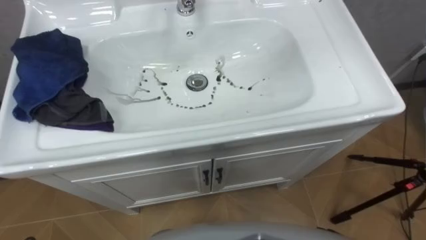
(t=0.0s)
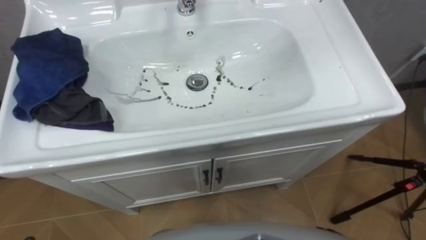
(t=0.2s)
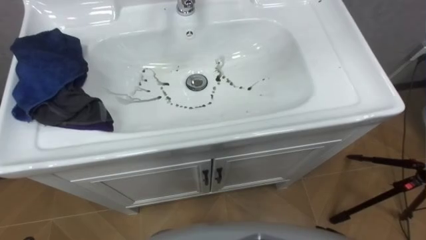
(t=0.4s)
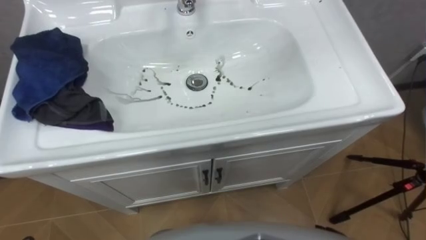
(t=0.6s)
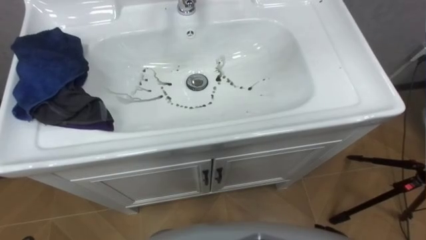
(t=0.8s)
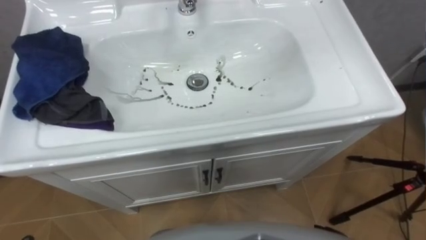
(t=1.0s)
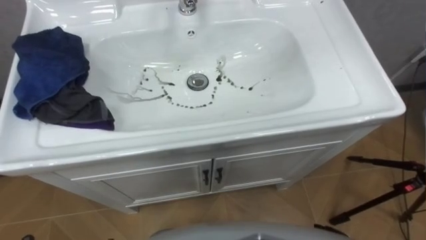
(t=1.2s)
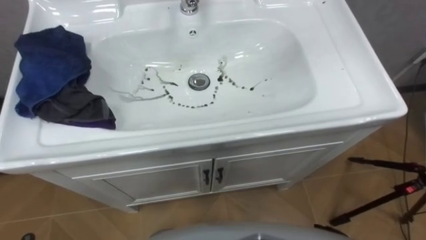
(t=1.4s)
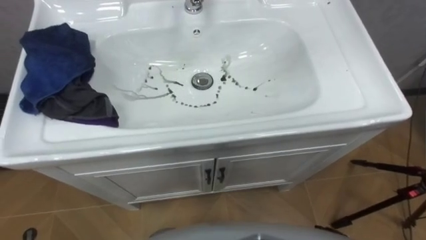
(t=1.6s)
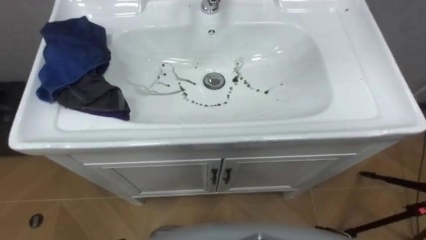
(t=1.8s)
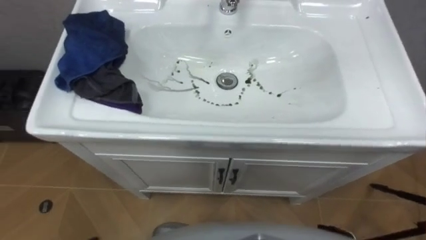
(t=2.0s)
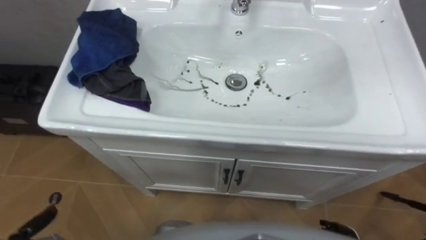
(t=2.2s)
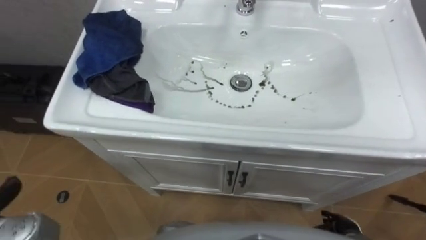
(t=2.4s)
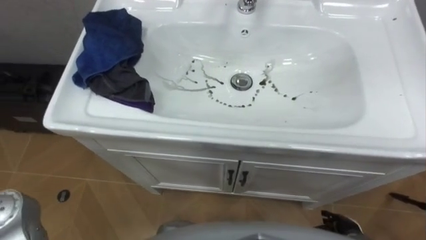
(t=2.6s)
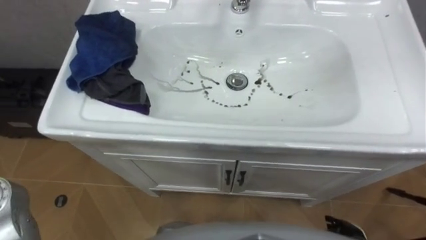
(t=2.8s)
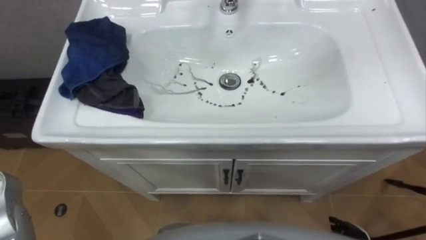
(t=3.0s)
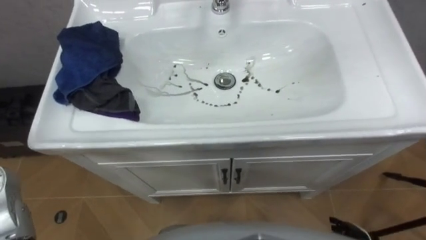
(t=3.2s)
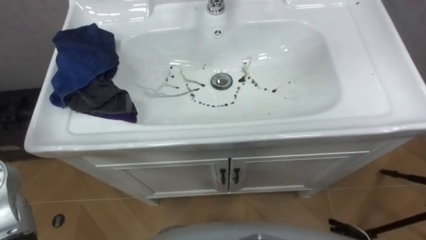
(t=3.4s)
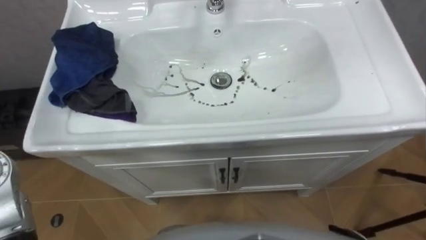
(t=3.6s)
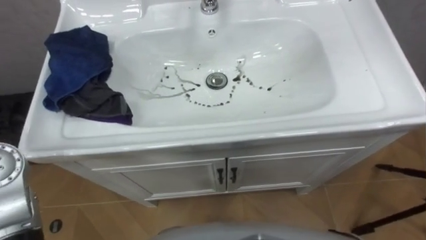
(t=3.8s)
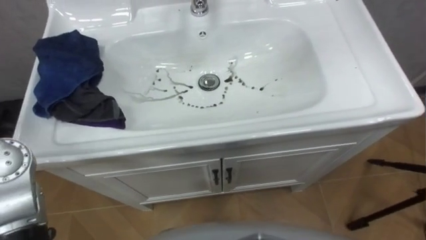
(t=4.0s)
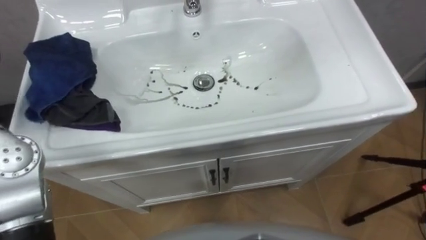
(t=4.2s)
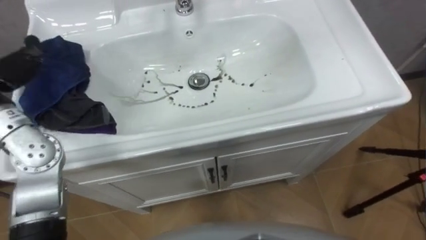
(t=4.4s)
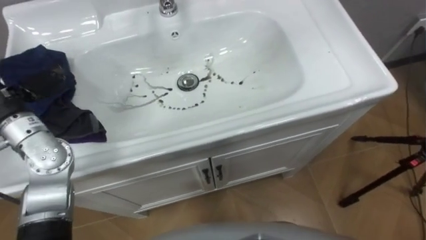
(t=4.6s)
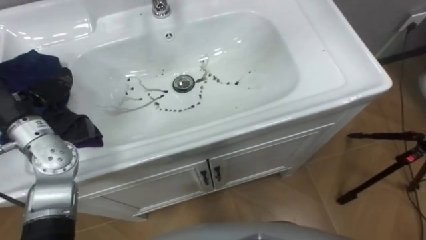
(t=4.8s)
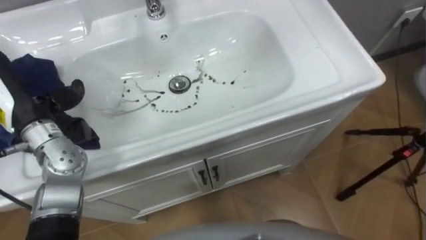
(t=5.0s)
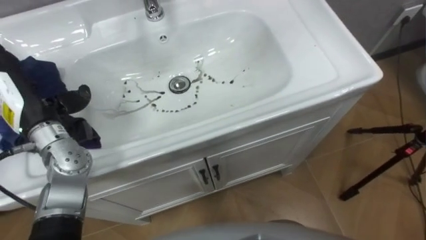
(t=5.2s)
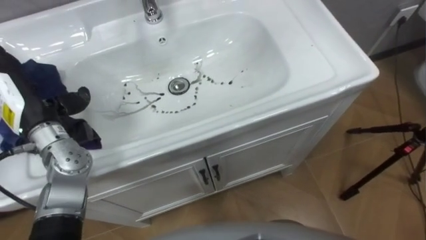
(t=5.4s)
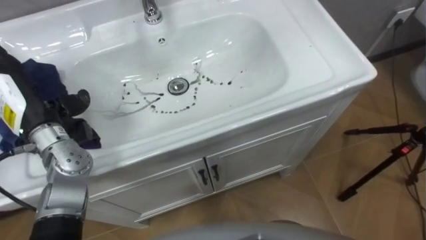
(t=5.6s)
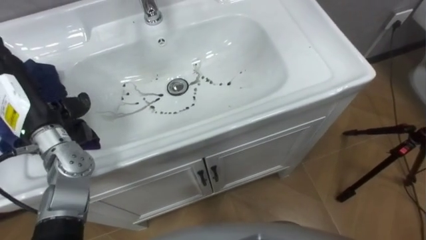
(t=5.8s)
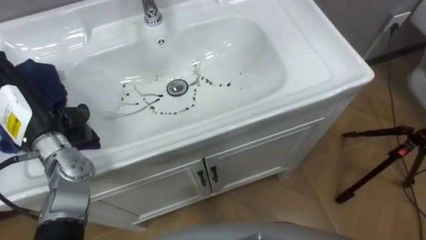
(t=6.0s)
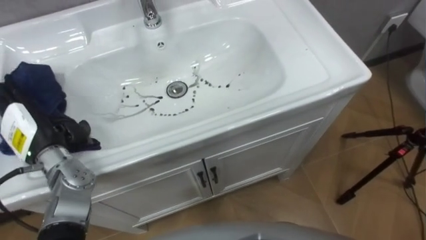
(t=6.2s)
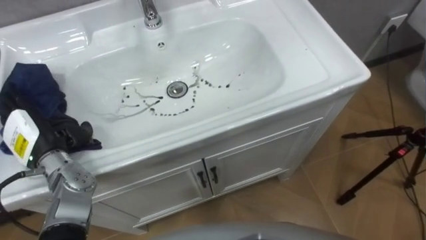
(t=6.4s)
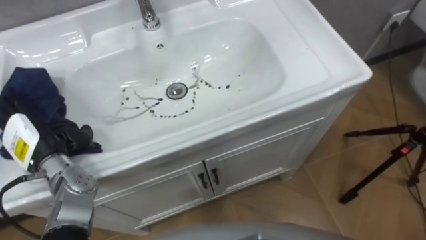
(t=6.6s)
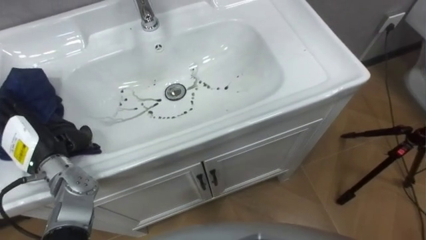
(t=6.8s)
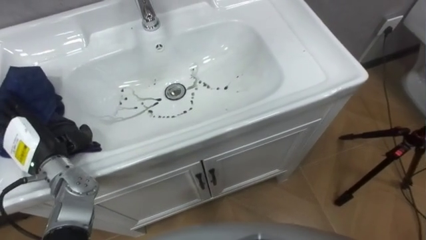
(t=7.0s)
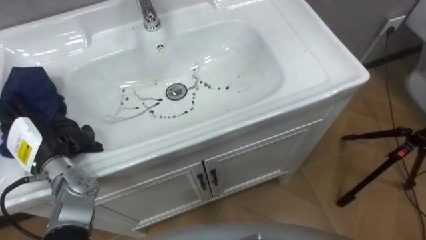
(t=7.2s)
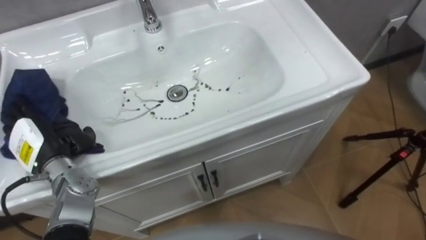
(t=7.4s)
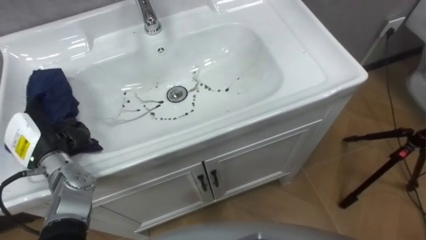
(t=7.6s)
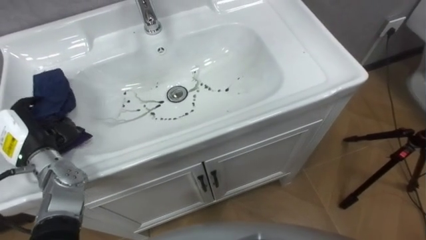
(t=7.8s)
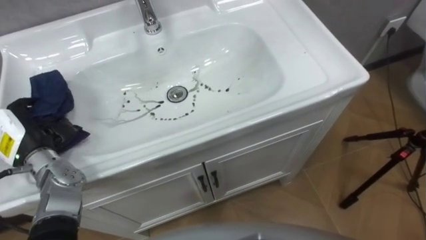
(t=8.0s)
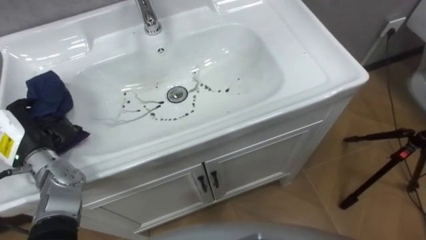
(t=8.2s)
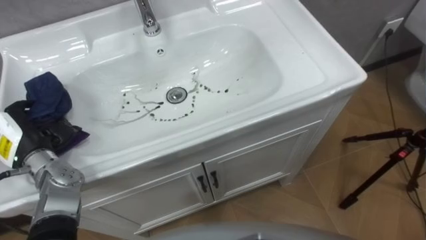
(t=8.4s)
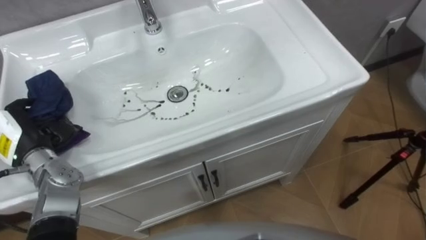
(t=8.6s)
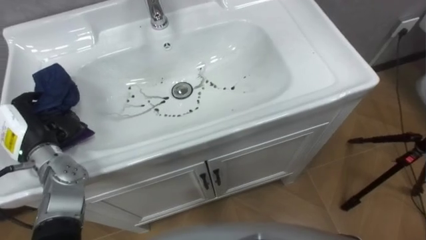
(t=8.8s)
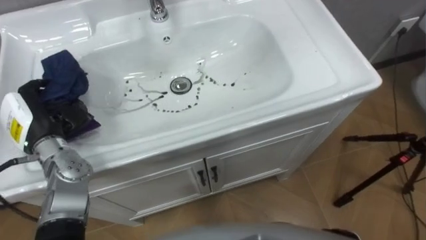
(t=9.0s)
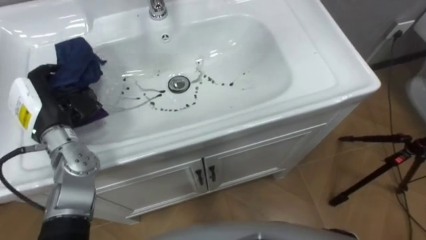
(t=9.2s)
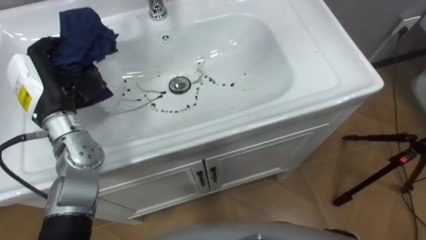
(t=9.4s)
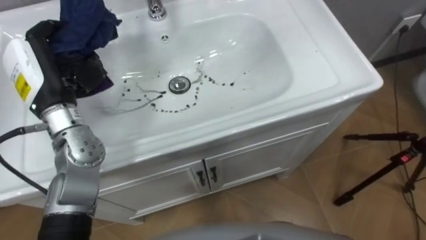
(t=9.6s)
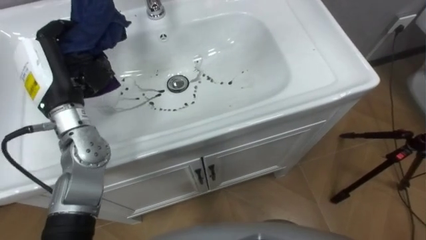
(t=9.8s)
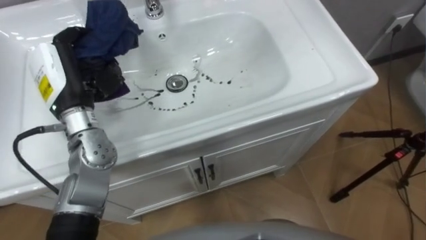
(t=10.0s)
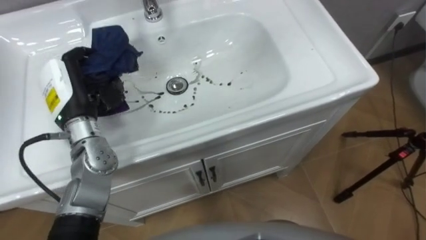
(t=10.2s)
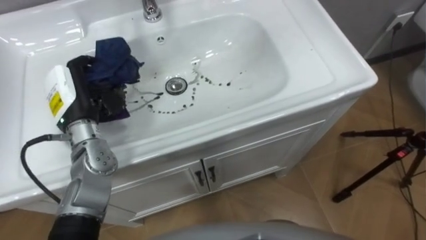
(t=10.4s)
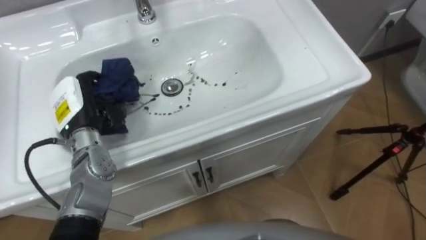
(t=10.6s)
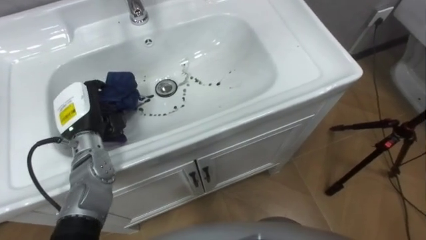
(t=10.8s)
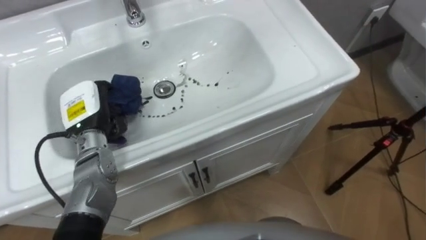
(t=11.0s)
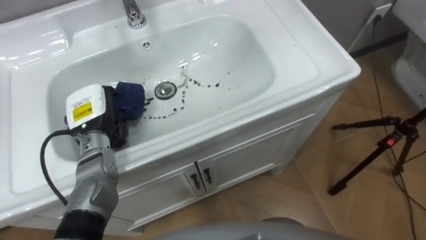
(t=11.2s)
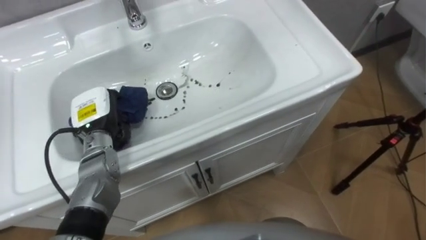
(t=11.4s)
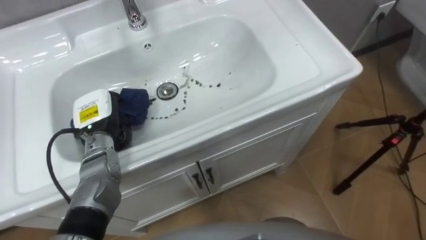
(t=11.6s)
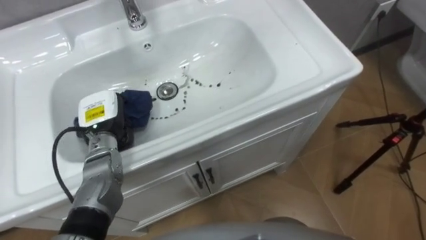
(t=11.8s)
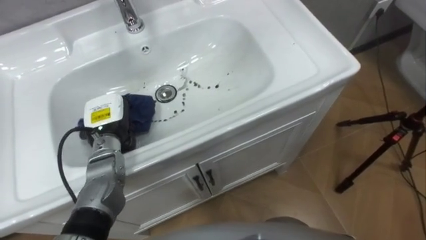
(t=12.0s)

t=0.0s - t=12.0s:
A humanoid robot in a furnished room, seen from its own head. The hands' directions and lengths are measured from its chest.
Task of the whole recording: Use the cloth on the right to wipe away the black stain in the sink.
t=6.0s - t=7.6s: The left hand is displaced downward by some 5 cm.
t=7.6s - t=9.0s: The left hand changes place by some 5 cm, and closes up.
t=9.0s - t=10.4s: The left hand heads to the right, covering approximately 5 cm, and goes upward and returns, approximately 10 cm each way.
t=10.4s - t=12.0s: The left hand is displaced downward by roughly 10 cm.

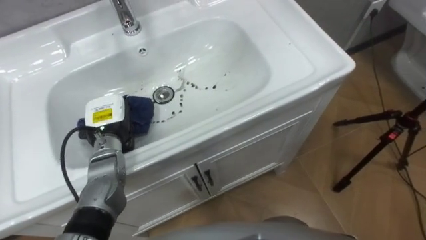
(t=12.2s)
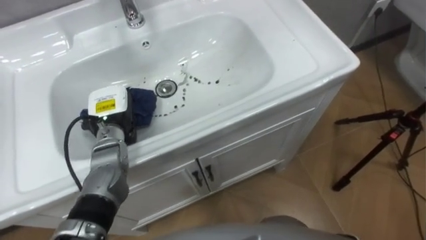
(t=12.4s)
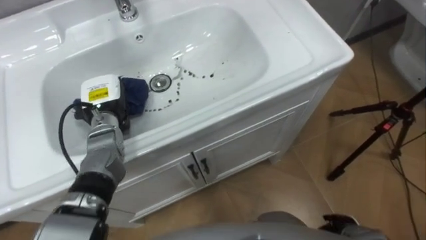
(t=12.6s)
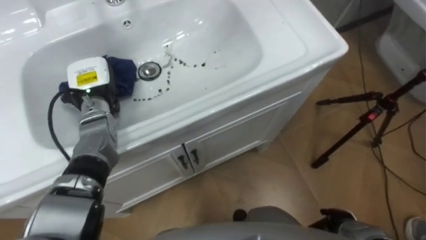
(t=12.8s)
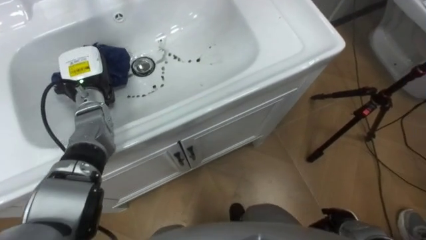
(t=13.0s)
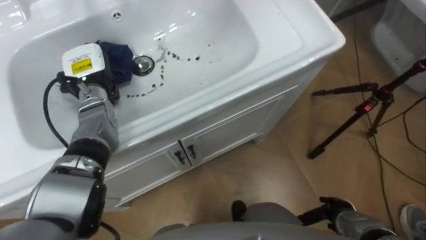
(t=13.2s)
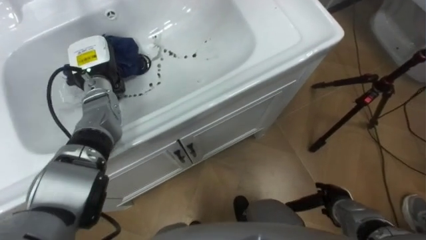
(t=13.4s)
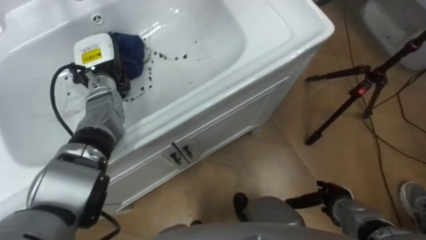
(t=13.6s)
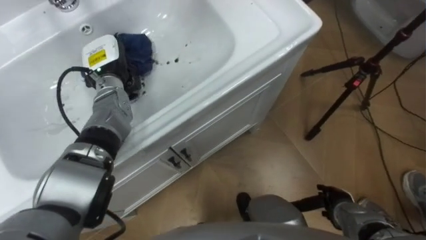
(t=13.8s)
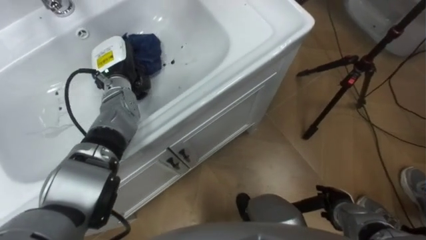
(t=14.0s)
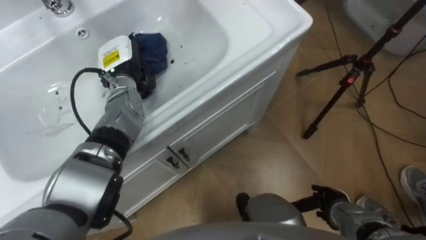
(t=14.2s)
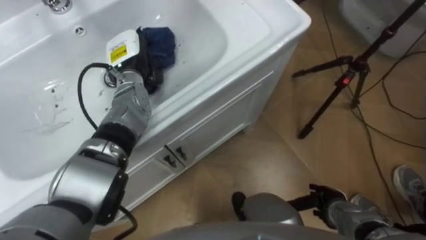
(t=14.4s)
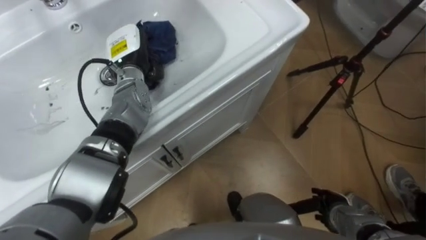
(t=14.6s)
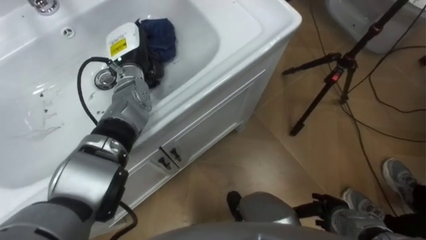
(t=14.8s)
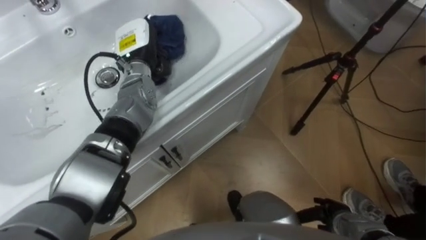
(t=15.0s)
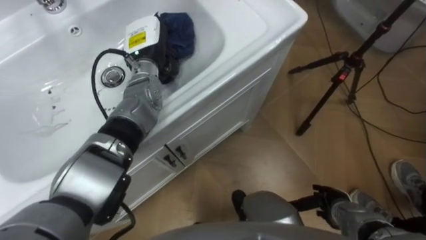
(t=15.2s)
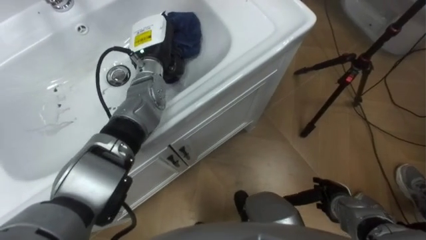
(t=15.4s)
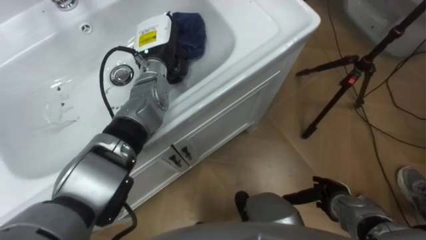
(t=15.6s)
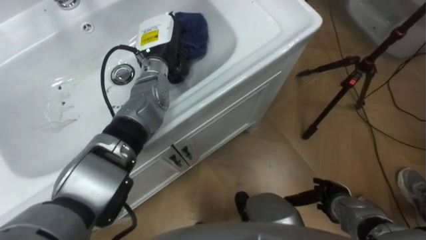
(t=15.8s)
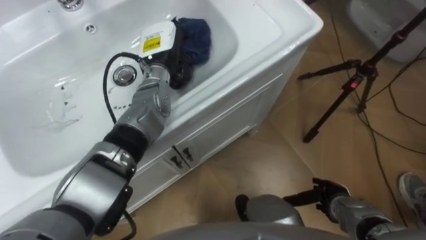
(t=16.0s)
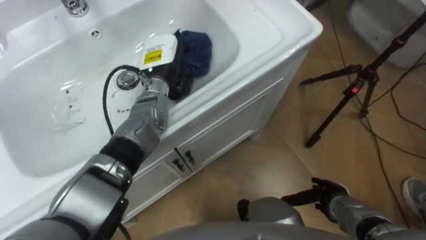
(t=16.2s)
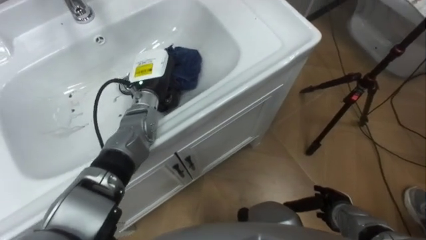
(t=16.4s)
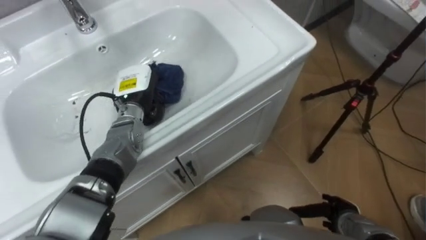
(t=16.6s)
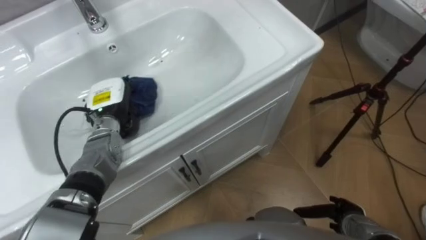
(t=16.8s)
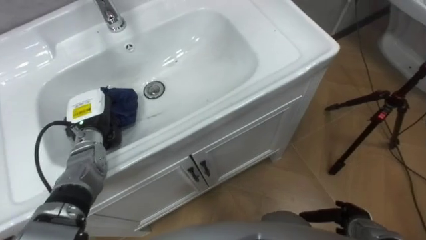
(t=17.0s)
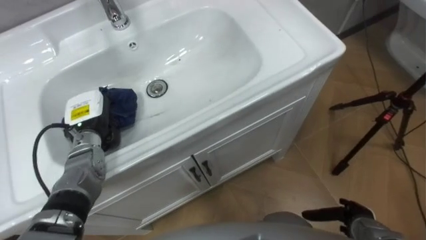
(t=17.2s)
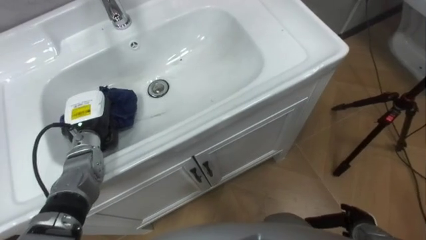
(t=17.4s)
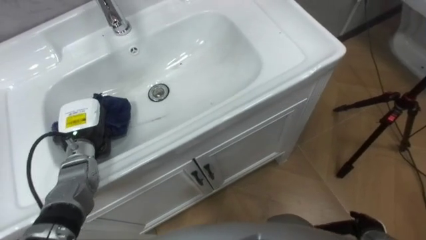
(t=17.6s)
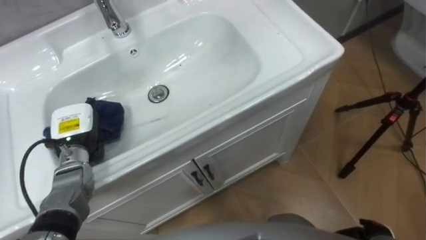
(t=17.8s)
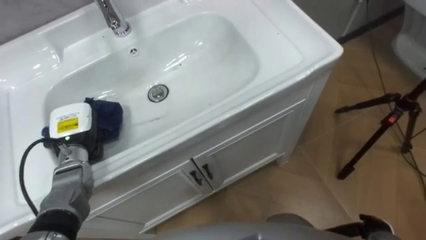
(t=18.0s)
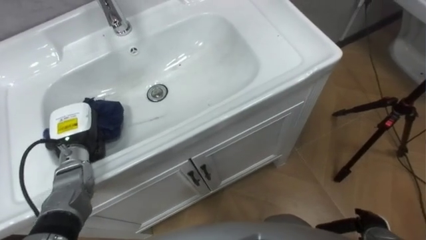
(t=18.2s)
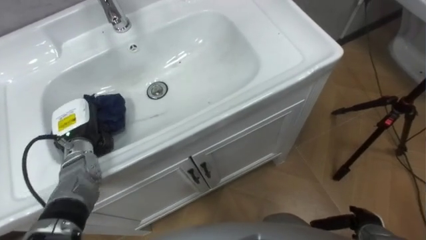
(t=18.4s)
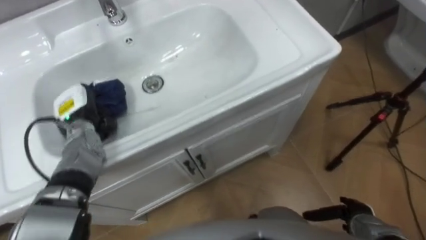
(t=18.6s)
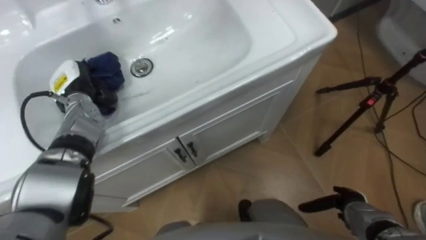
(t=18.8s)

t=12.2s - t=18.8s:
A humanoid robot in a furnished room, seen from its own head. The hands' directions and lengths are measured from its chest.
Task of the whole recording: Use the cloth on the right to wipe away the black stain in the sink.
t=12.2s - t=13.8s: The left hand moves forward and upward, some 10 cm.
t=13.8s - t=15.4s: The left hand heads to the right, covering some 10 cm.
t=15.4s - t=17.2s: The left hand goes about 20 cm to the left, backward and downward, while the right hand shifts by about 5 cm.
t=17.2s - t=18.8s: The left hand is displaced forward by about 5 cm.
